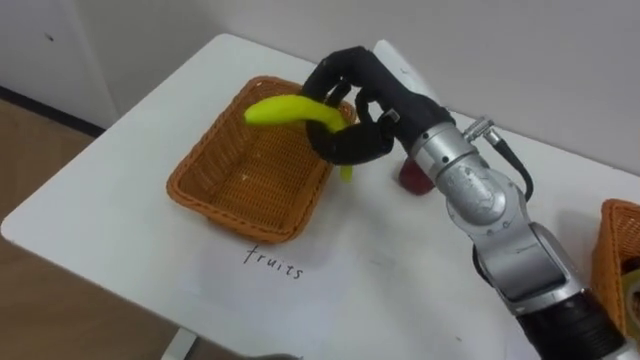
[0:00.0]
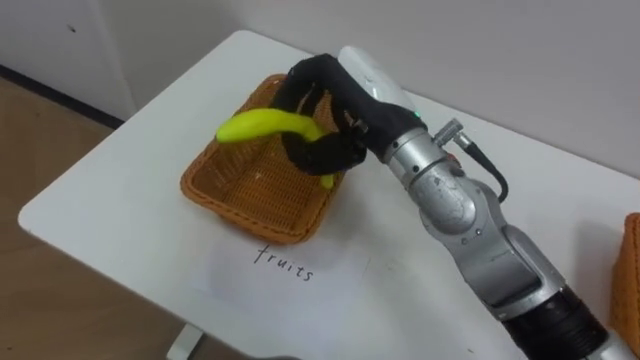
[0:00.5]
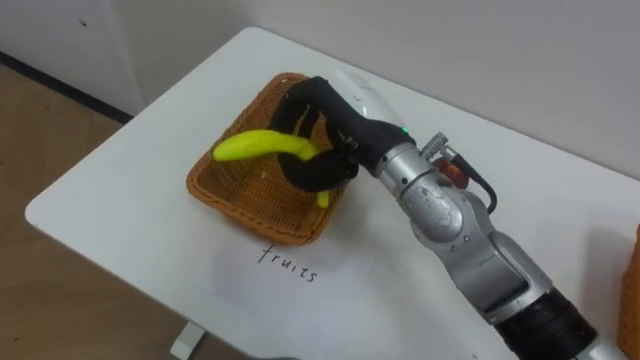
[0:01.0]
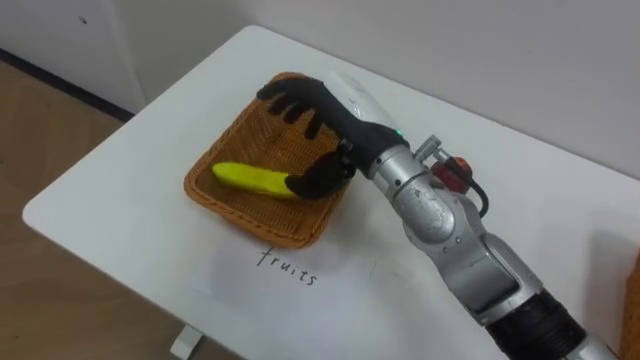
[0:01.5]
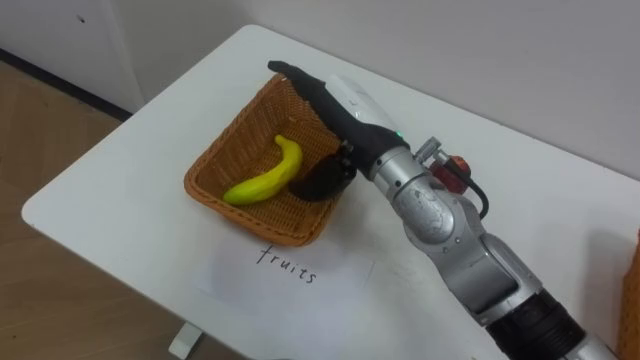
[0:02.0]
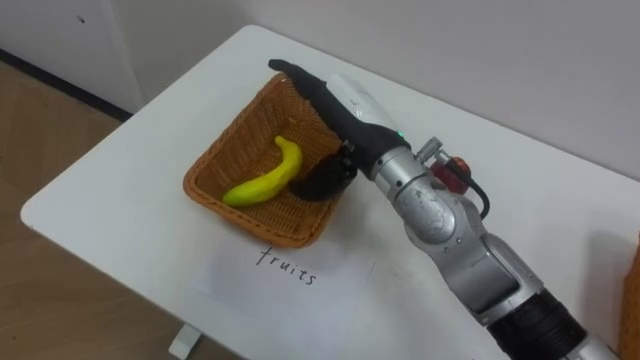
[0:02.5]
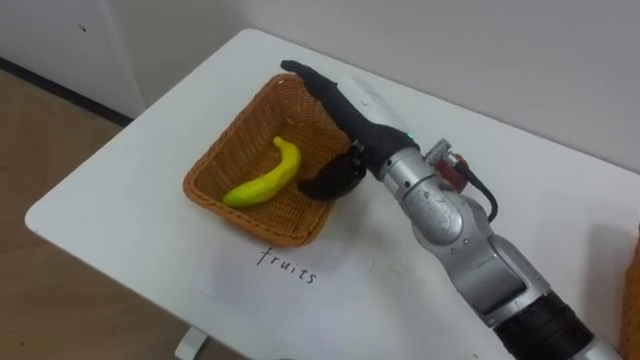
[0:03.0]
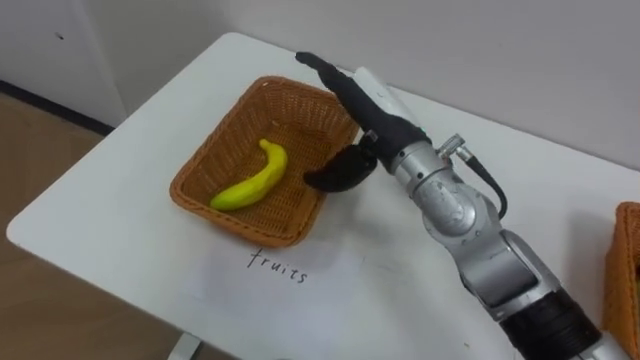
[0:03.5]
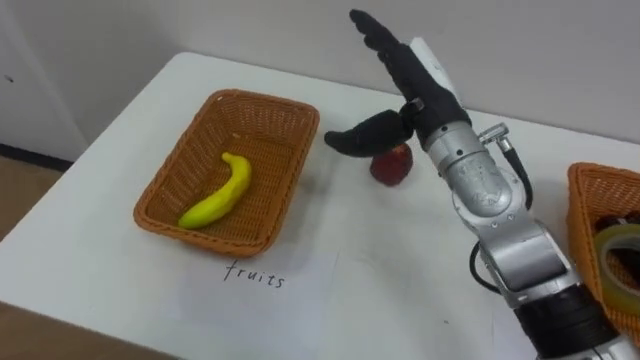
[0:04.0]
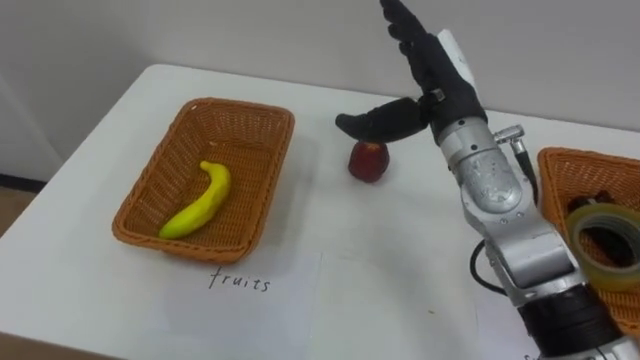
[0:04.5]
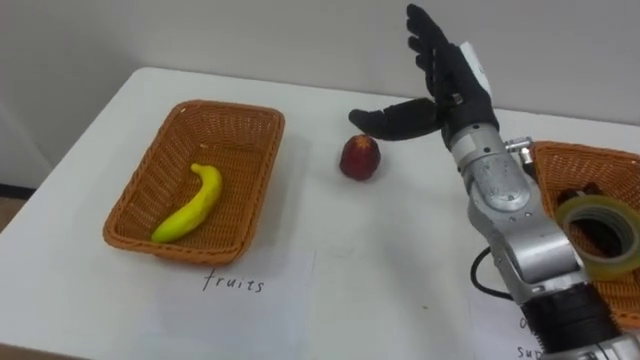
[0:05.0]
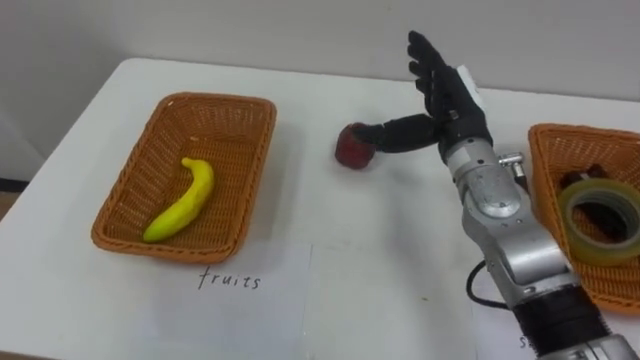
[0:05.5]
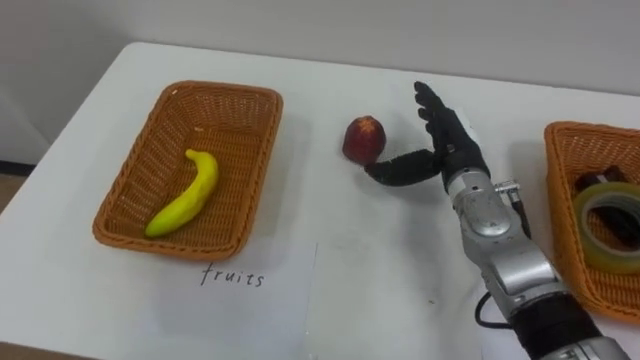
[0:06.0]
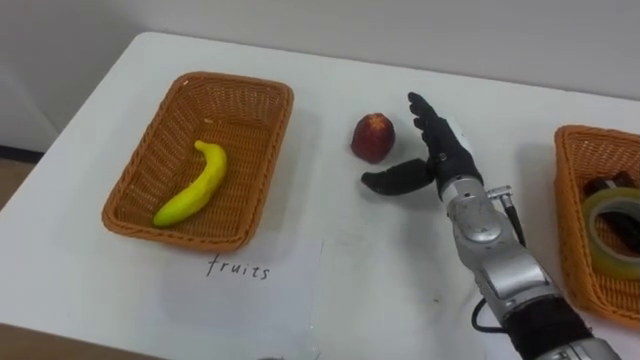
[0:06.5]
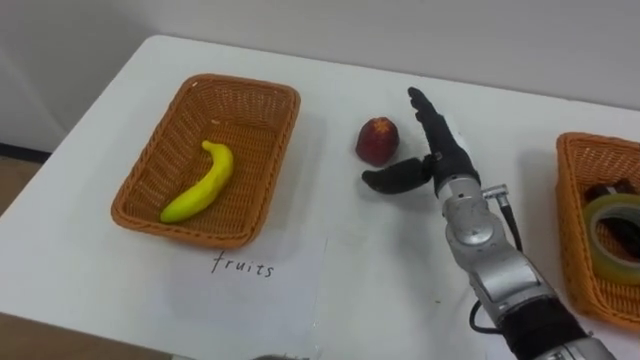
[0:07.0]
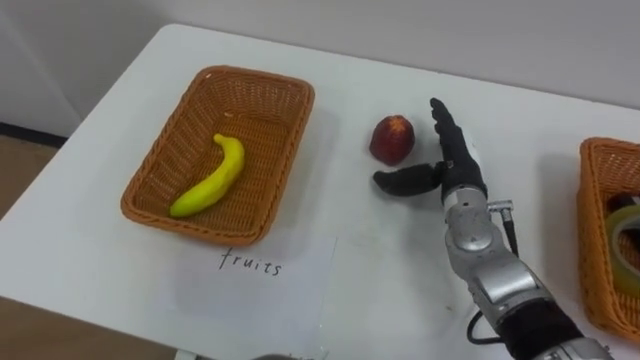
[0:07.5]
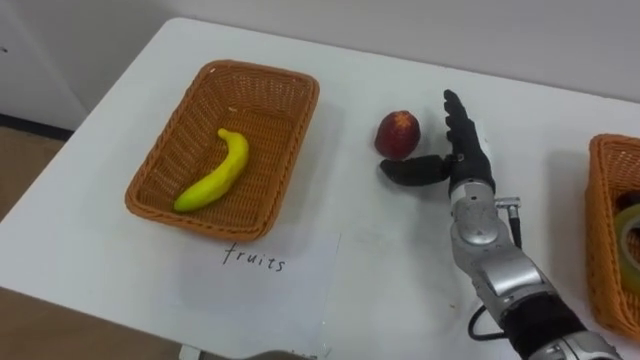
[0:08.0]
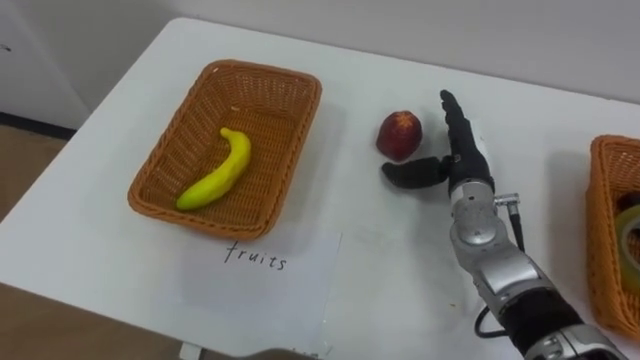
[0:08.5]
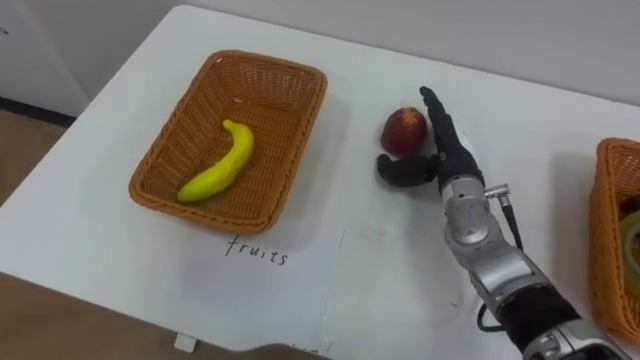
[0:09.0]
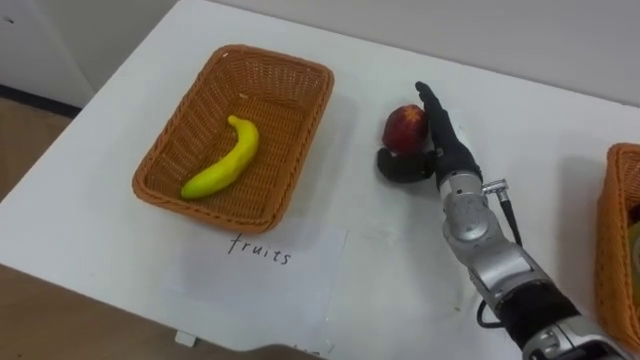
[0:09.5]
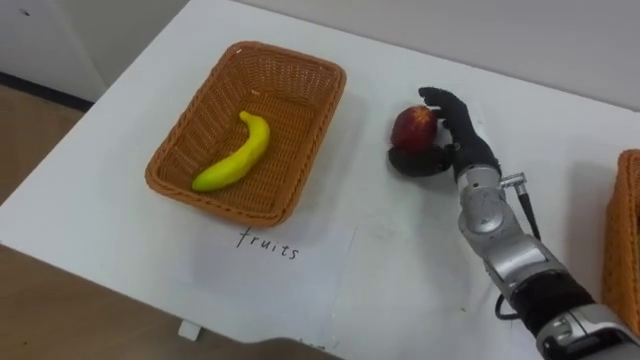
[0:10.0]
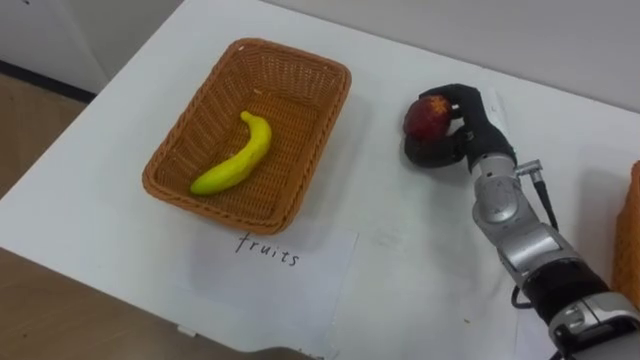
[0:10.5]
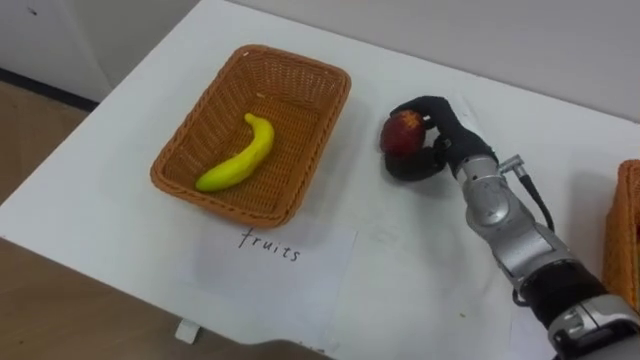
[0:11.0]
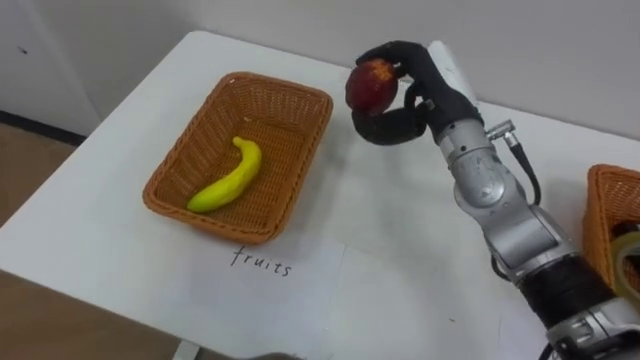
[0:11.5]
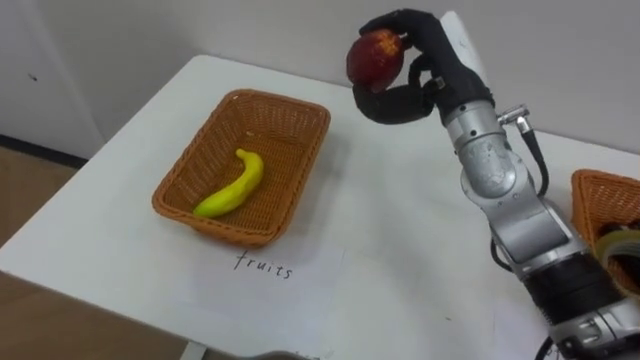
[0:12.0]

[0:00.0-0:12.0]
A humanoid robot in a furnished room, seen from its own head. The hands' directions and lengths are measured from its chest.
Task of the whole recording: Separate the items on the table and place them into the two baskets.
0:00.0 to 0:02.0: The right hand shifts by some 5 cm, and opens up.
0:02.0 to 0:04.0: The right hand is displaced to the right by about 5 cm.
0:04.0 to 0:06.0: The right hand travels downward and to the right by about 10 cm.
0:10.0 to 0:12.0: The right hand travels upward by about 10 cm, and closes its fingers.

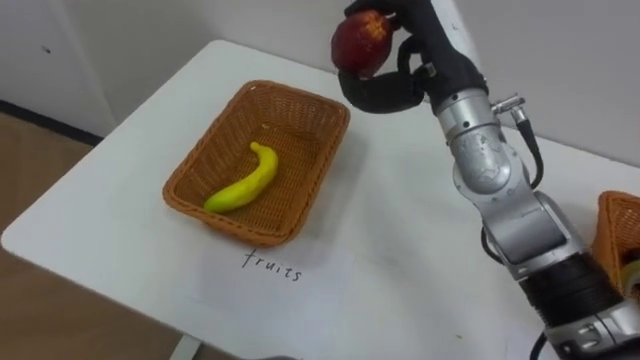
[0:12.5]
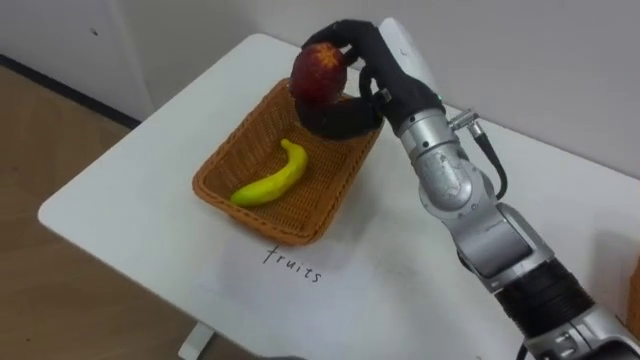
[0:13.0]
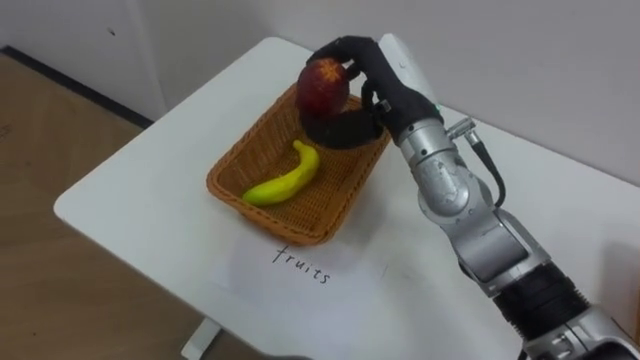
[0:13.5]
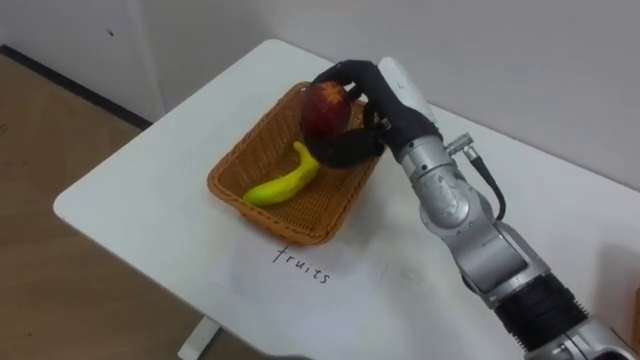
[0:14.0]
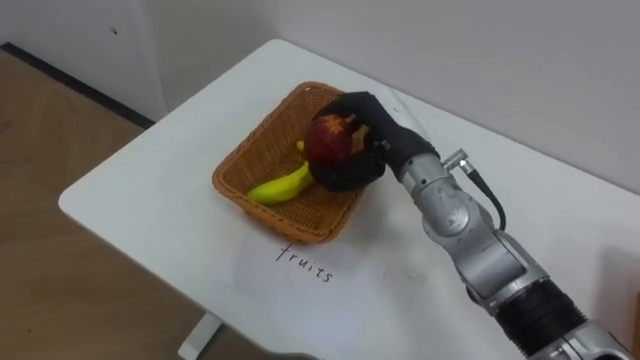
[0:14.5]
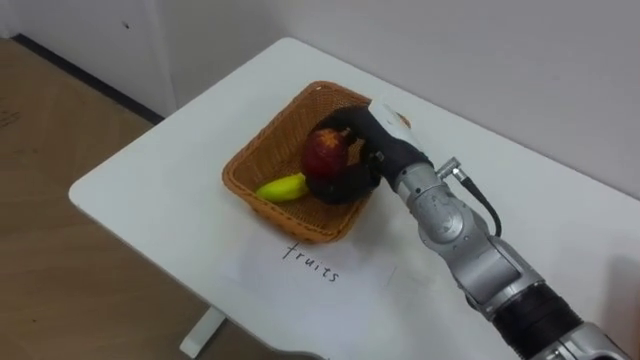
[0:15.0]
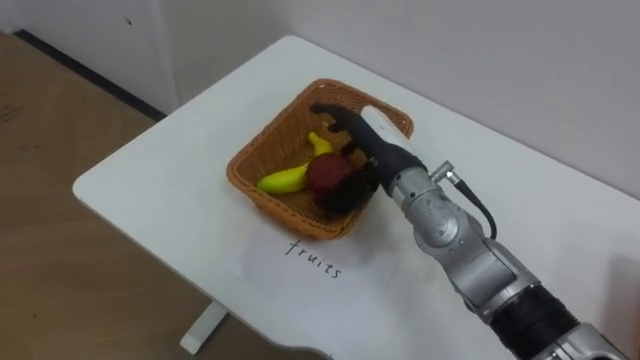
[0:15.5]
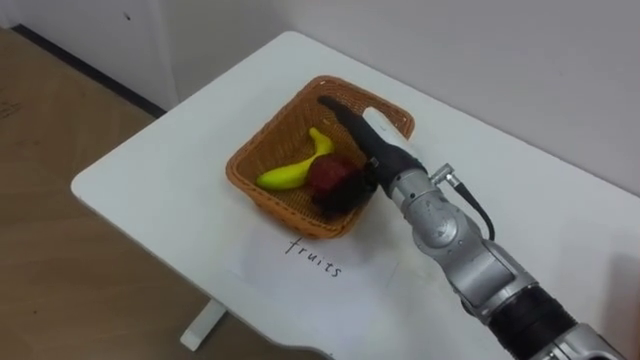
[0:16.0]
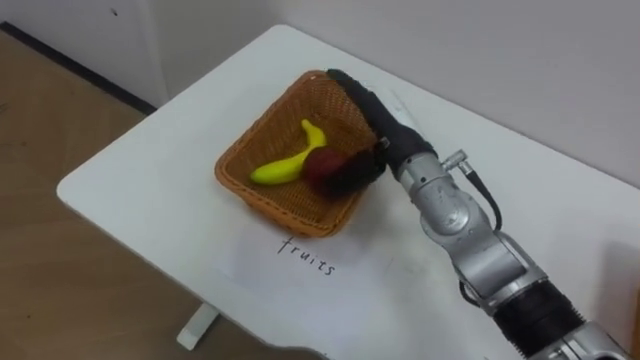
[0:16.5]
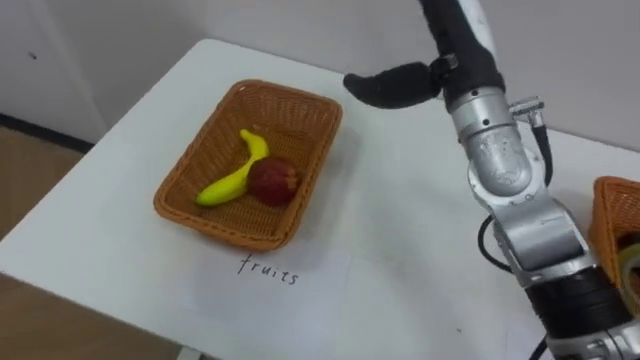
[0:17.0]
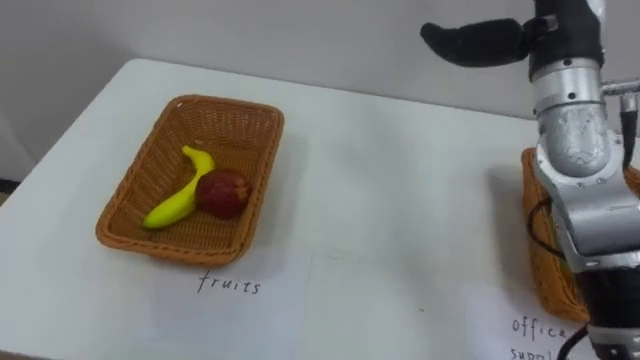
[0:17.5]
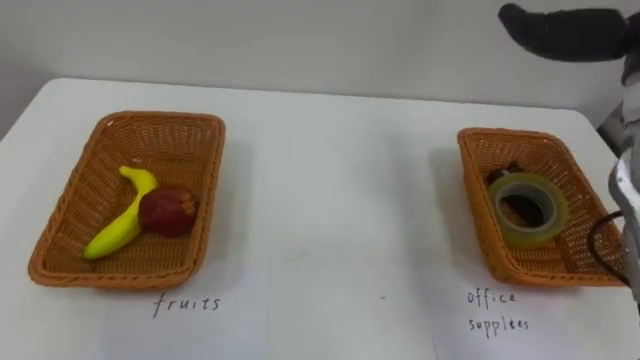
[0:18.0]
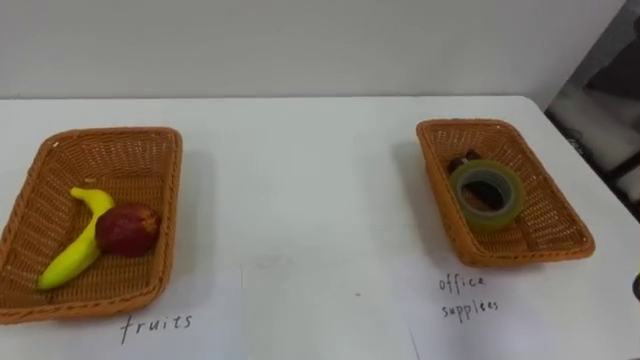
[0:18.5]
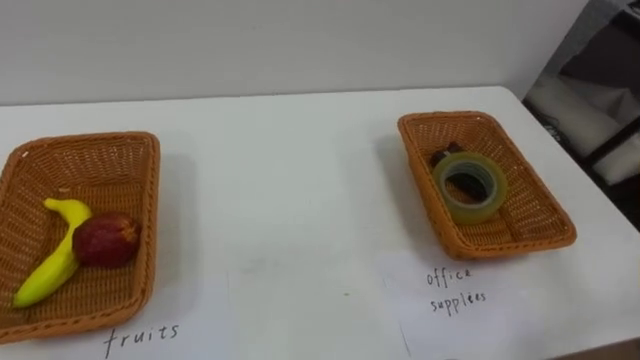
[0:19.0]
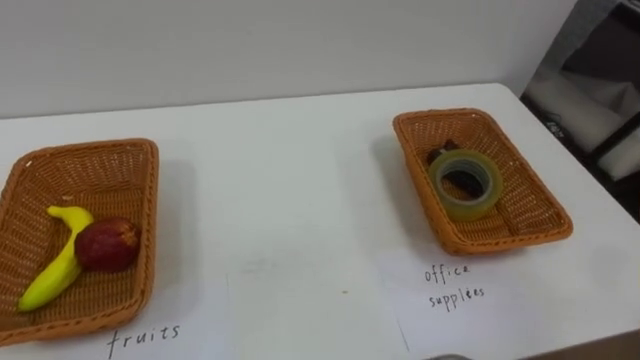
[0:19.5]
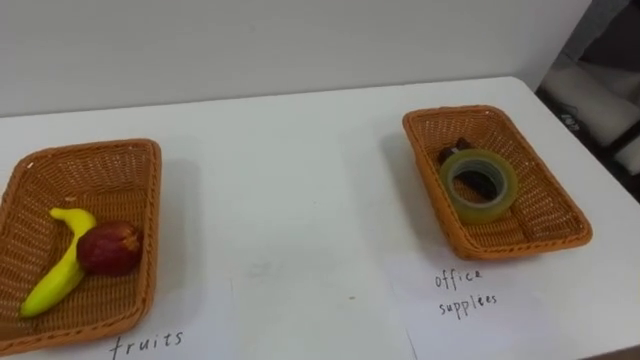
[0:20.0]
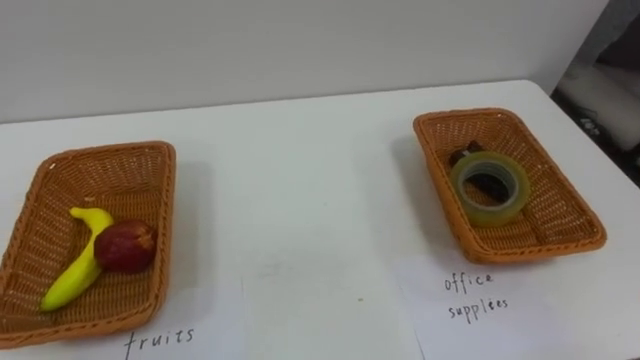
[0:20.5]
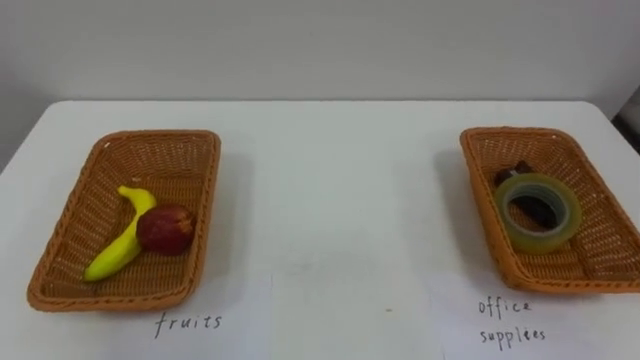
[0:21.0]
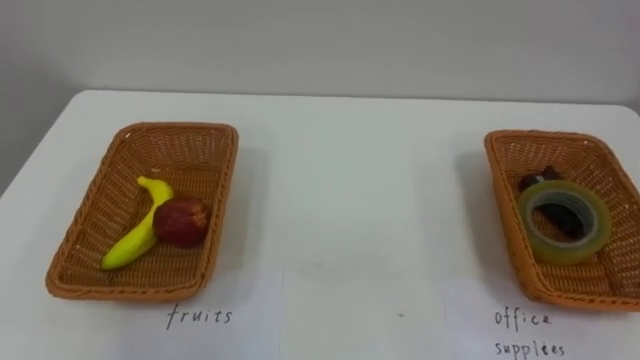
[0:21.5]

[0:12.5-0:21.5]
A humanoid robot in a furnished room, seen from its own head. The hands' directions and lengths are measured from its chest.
Task of the whole recording: Separate the items on the table and place them into the two baskets.
0:12.5 to 0:14.5: The right hand heads downward, covering about 10 cm.
0:14.5 to 0:17.0: The right hand shifts approximately 10 cm upward, and opens.
